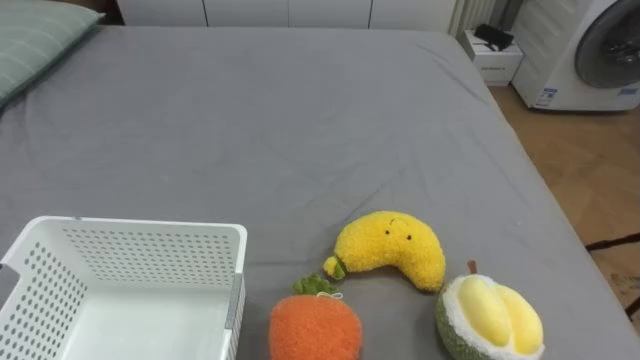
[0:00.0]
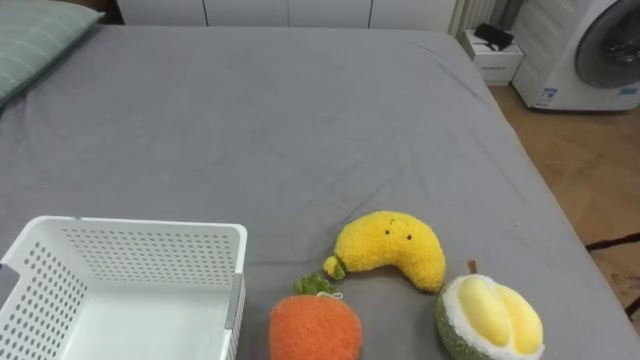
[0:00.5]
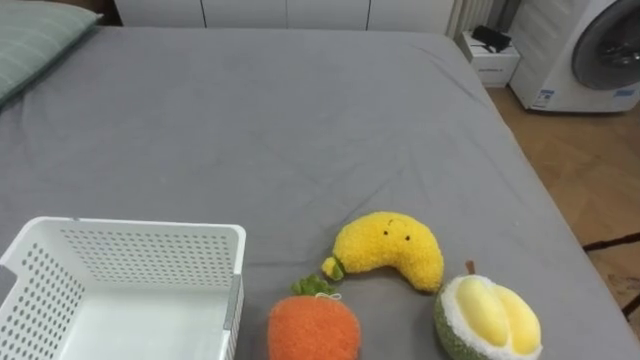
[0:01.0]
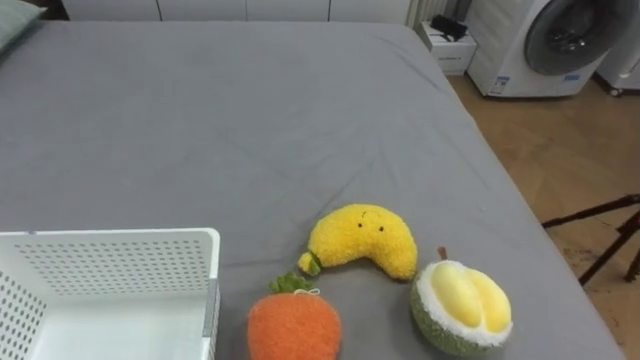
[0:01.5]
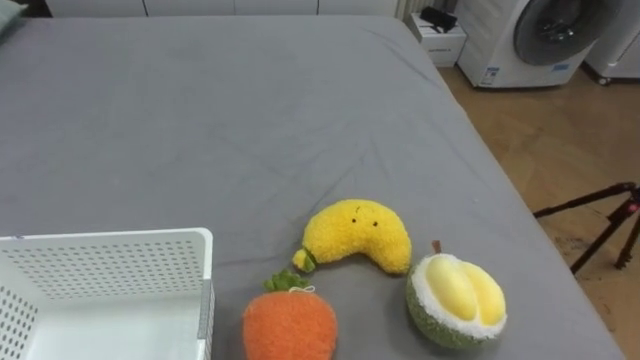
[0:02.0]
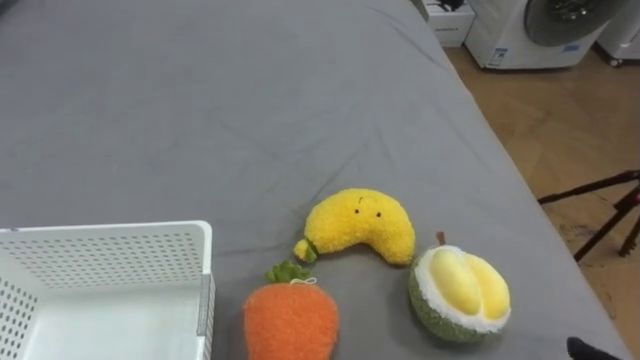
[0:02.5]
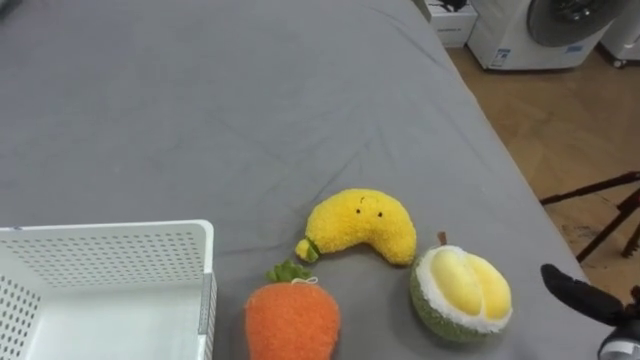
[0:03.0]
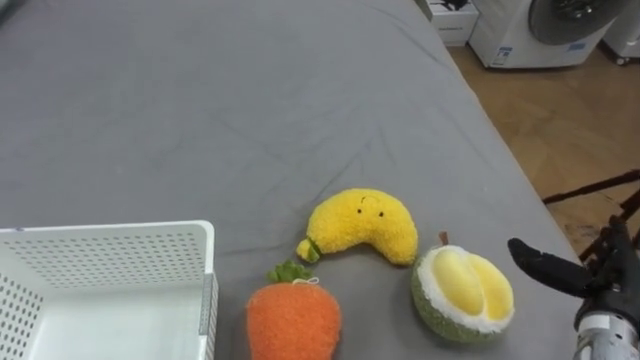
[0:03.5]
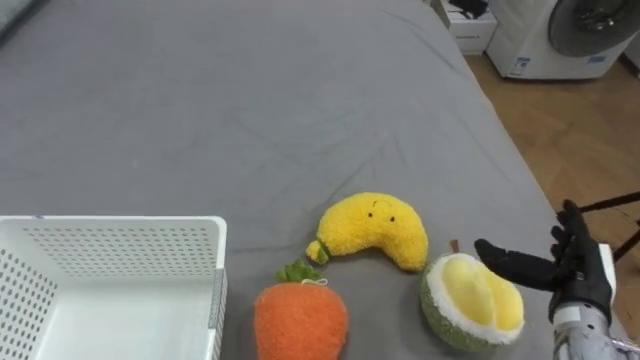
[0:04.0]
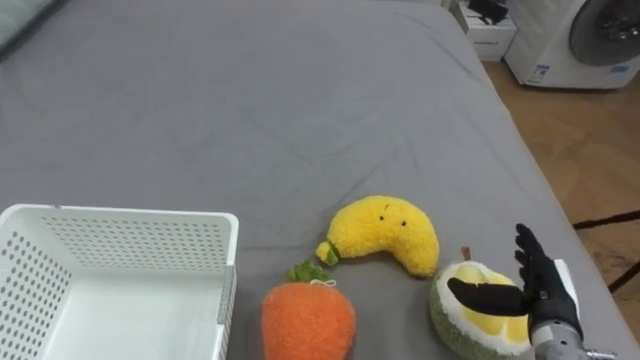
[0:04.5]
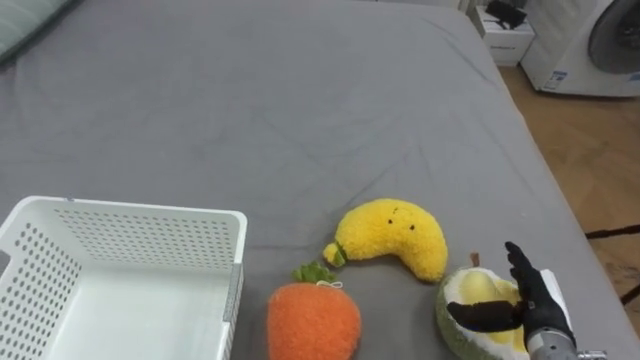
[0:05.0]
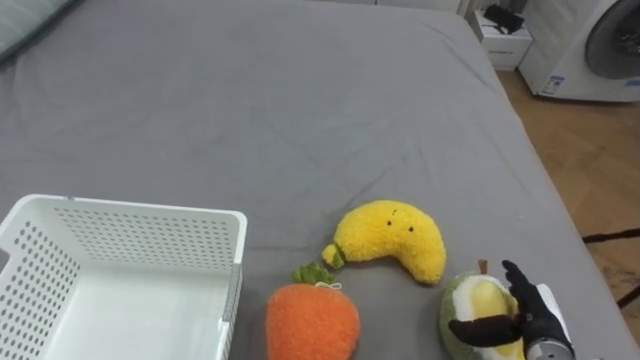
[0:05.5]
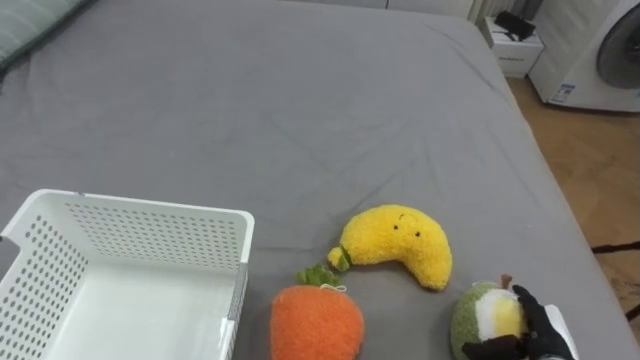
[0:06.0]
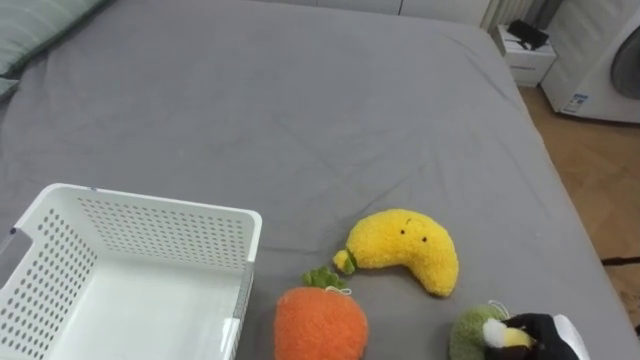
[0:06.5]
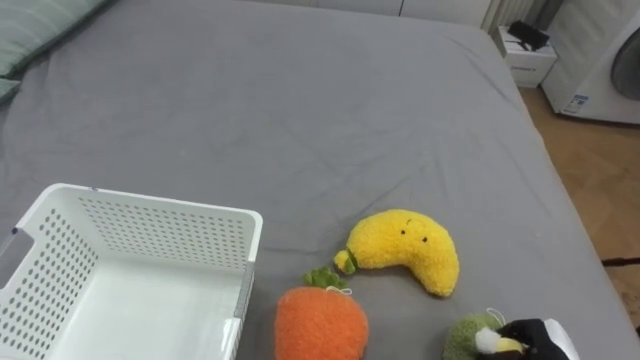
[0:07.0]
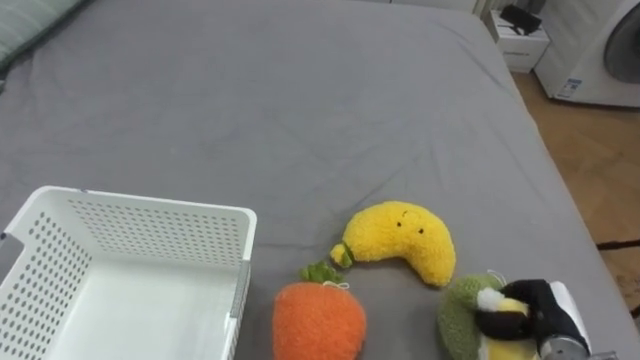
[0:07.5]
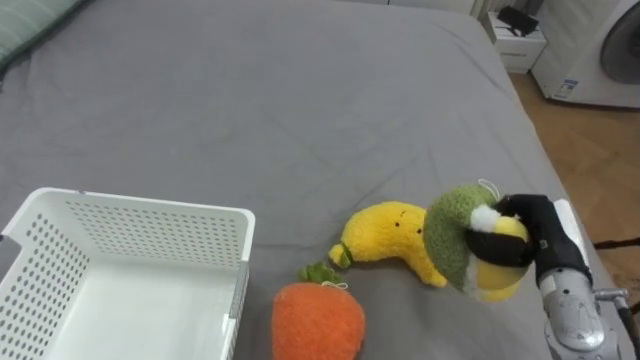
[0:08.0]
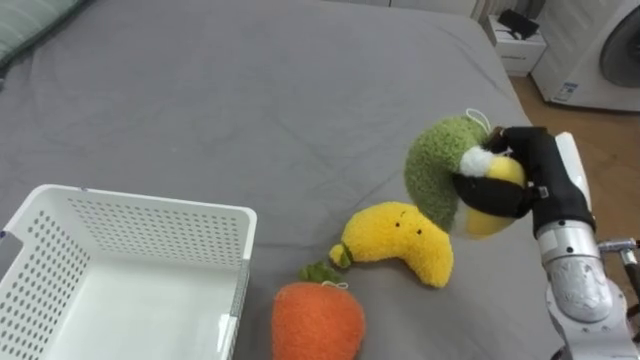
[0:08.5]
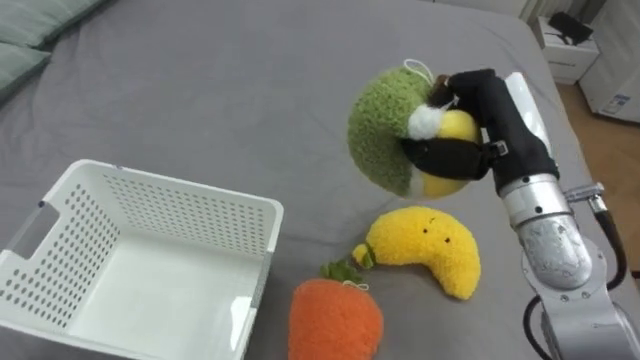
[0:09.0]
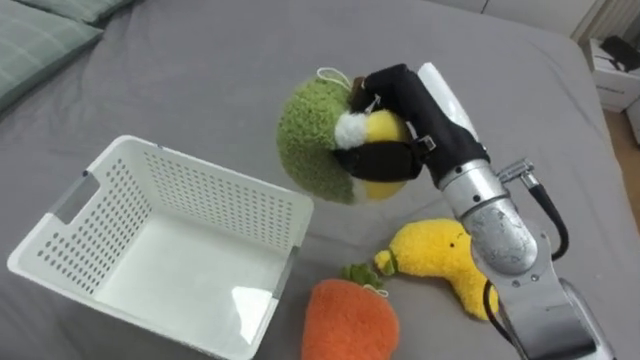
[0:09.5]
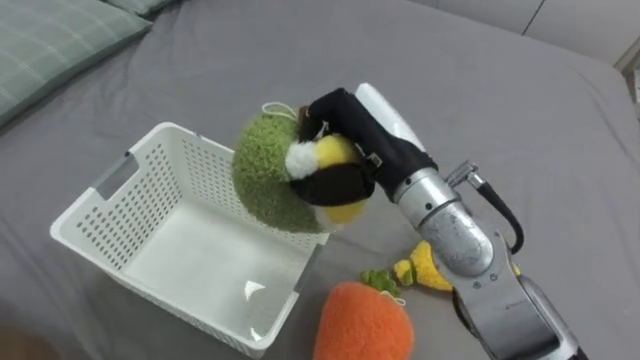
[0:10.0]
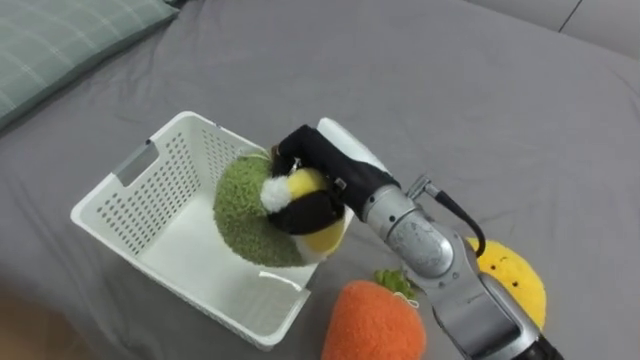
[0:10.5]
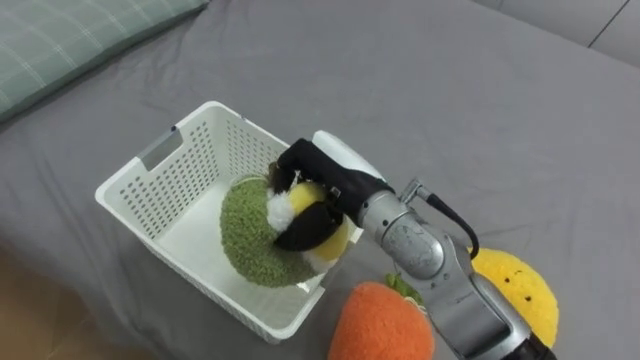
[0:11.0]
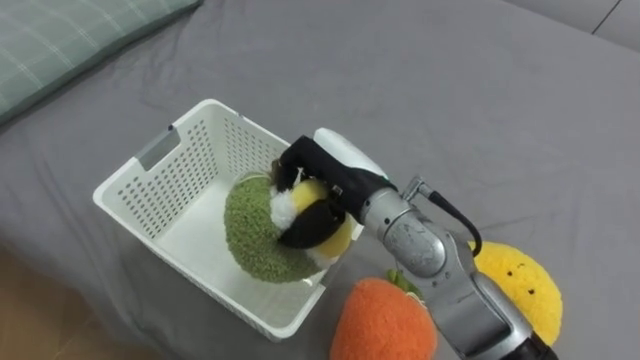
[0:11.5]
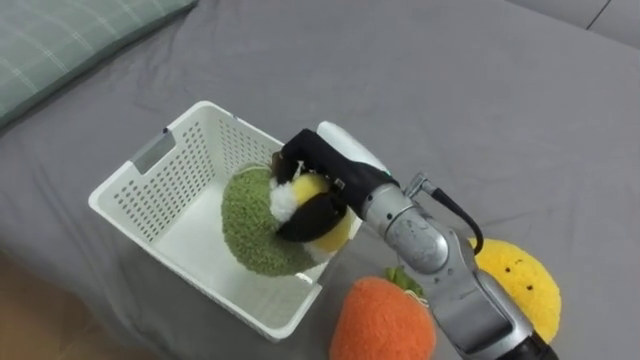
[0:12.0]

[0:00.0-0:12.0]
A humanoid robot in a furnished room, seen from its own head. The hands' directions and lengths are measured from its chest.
Task of the whole recording: Put the toys on the bed into the basket on the left.
0:04.0 to 0:06.0: The right hand heads downward, covering roughly 10 cm.
0:06.0 to 0:08.0: The right hand travels upward and forward by roughly 15 cm, and closes.
0:08.0 to 0:10.0: The right hand moves to the left and upward, some 25 cm.
0:10.0 to 0:12.0: The right hand shifts by about 5 cm.

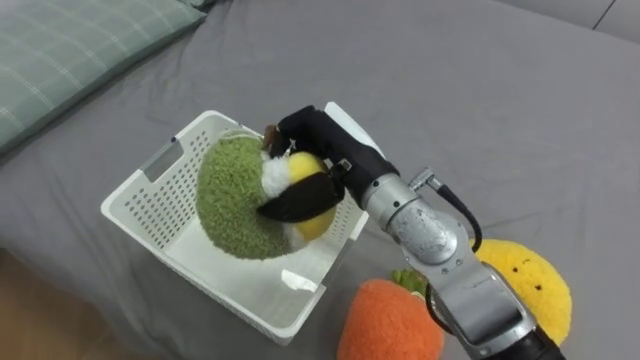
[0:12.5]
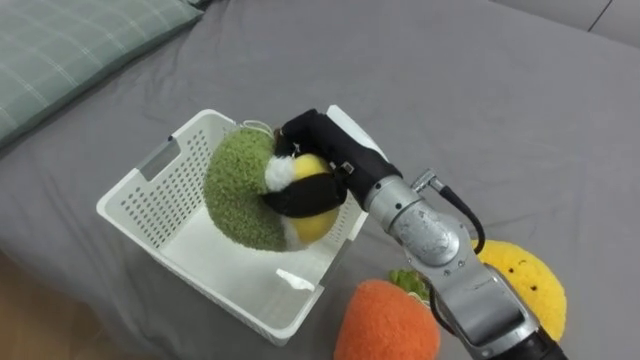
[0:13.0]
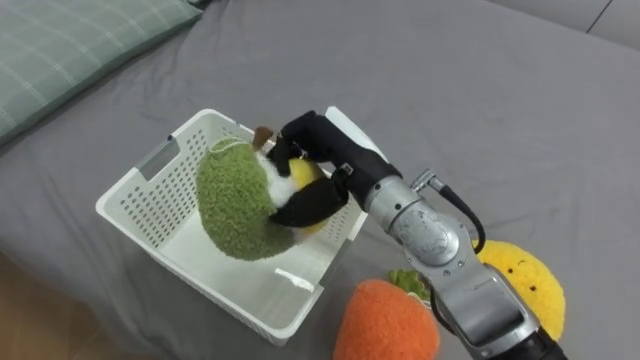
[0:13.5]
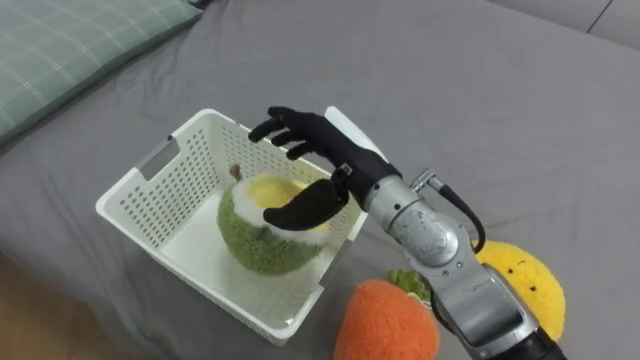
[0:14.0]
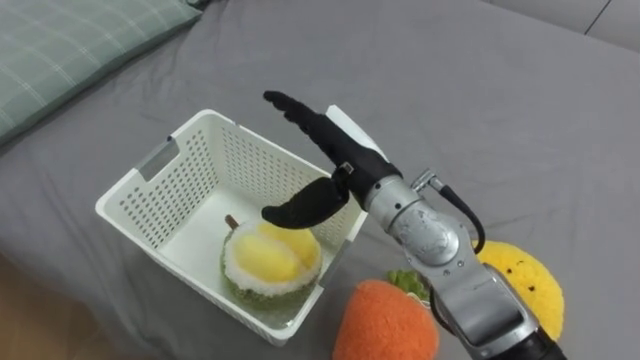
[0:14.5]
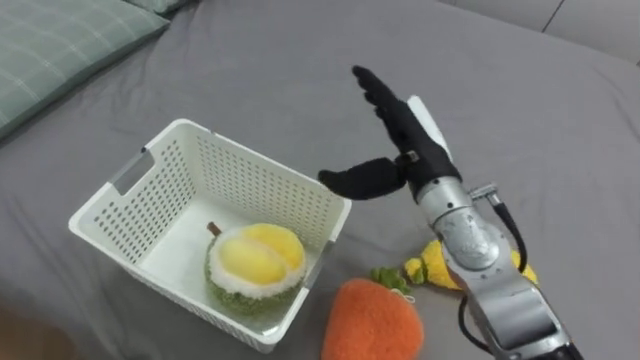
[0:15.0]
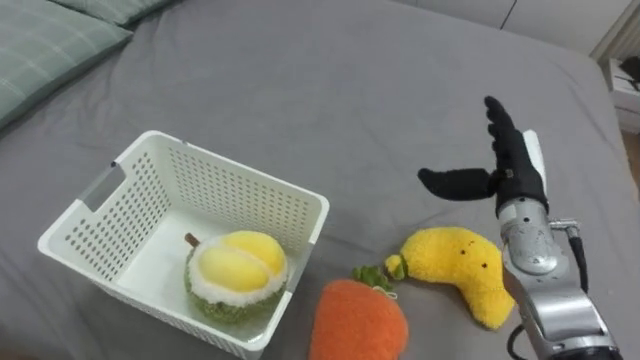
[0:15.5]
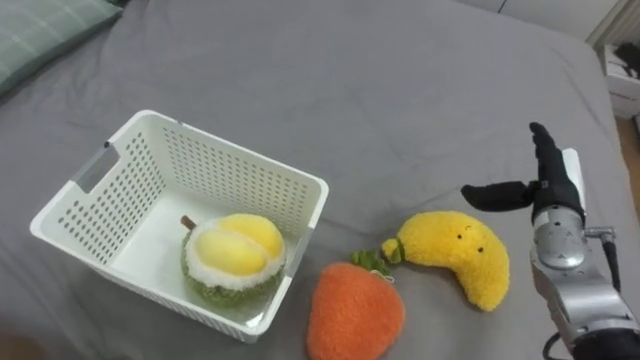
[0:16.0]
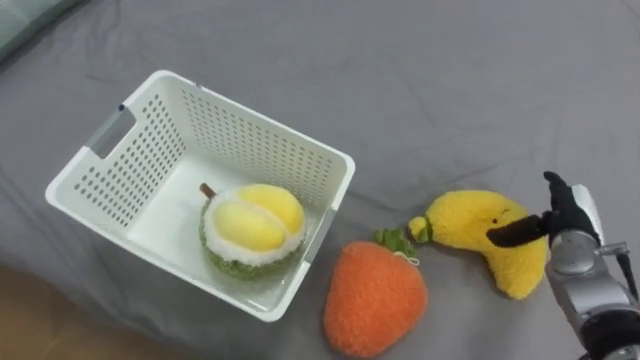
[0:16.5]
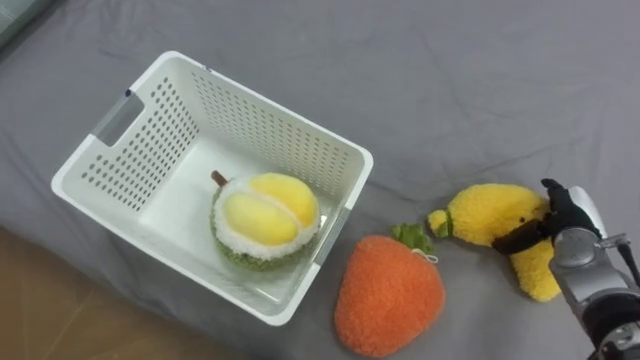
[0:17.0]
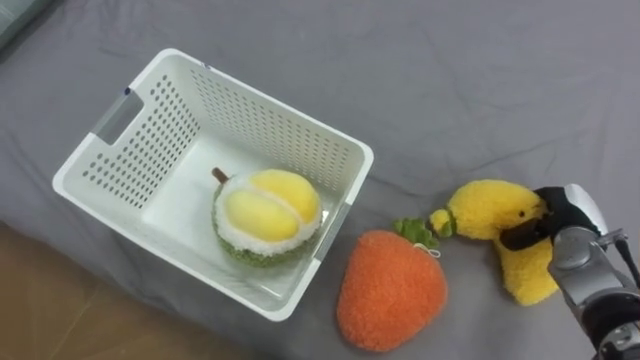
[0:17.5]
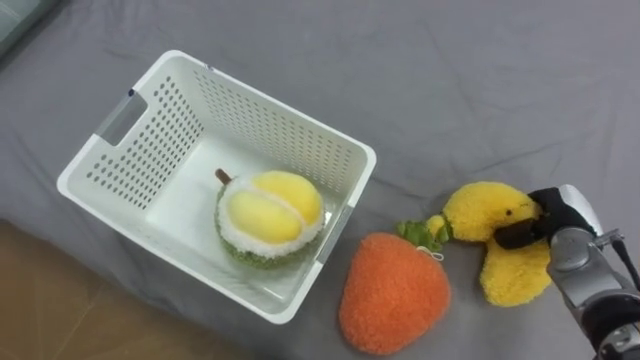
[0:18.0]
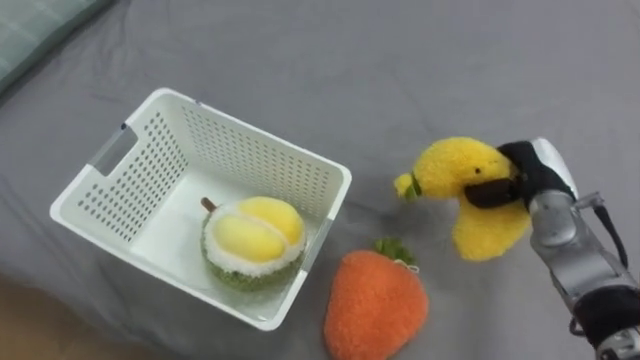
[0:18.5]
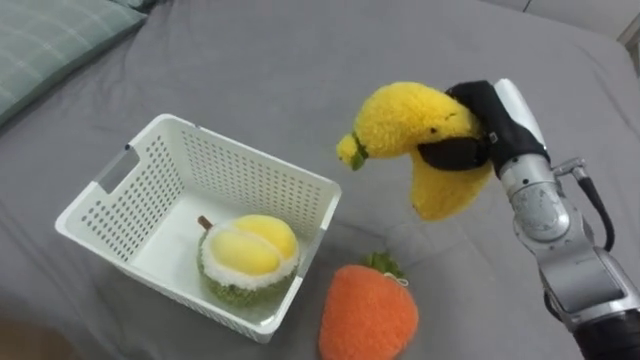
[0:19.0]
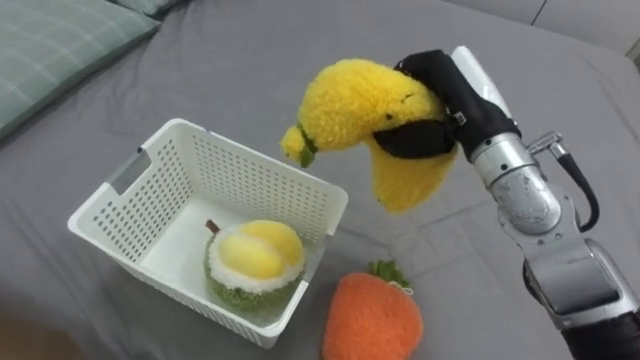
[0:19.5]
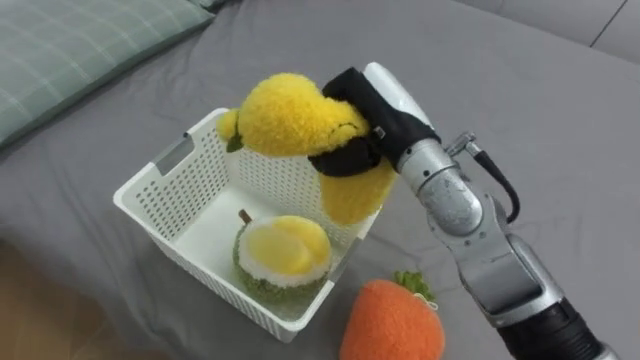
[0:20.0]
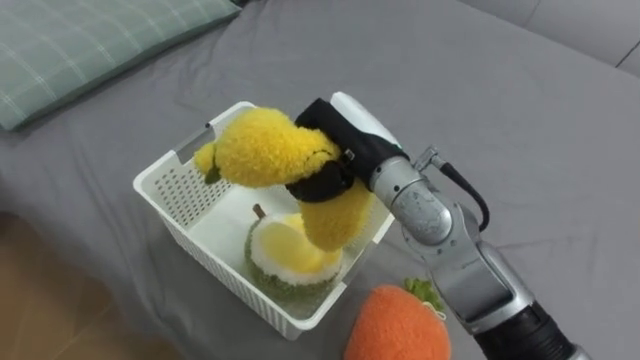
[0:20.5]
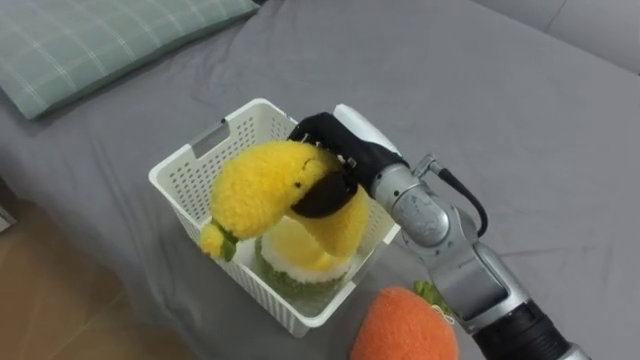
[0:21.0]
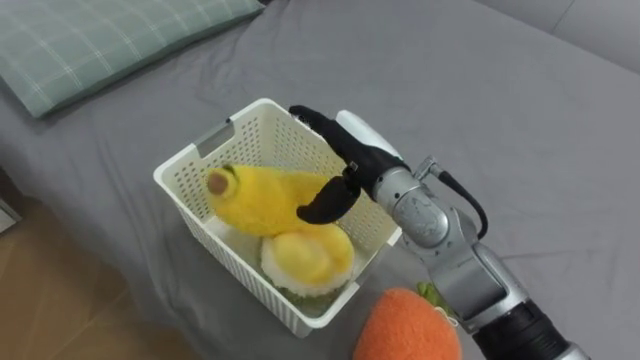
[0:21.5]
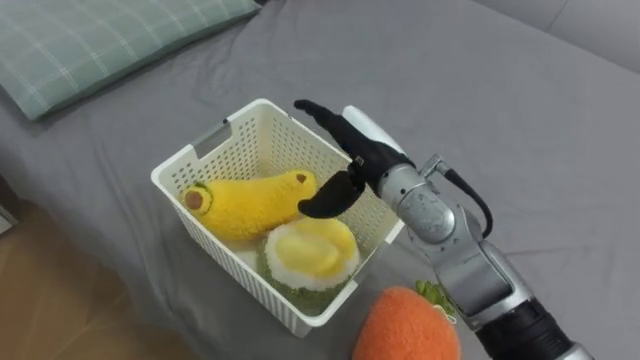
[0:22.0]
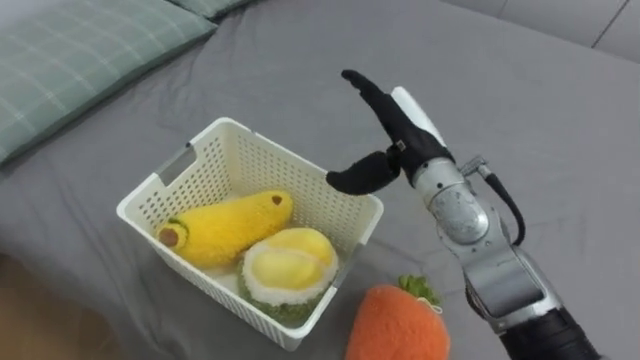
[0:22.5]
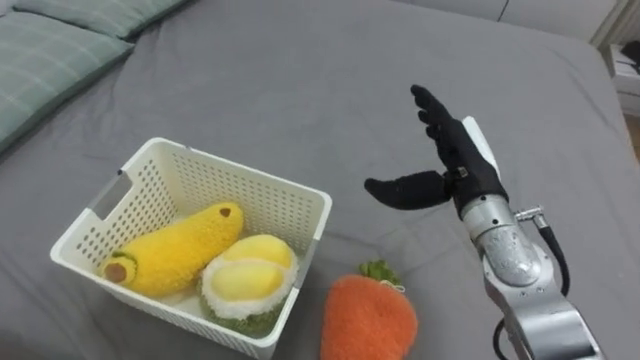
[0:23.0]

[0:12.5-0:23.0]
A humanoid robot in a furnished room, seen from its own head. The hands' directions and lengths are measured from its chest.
Task of the whole recording: Put the toys on the bed into the basket on the left.
0:12.5 to 0:14.5: The right hand opens up.
0:14.5 to 0:16.5: The right hand goes roughly 35 cm to the right and downward.
0:16.5 to 0:19.0: The right hand is displaced upward and to the left by roughly 20 cm, and closes up.
0:19.0 to 0:21.0: The right hand shifts roughly 15 cm to the left.
0:21.0 to 0:23.0: The right hand travels to the right by about 15 cm, and opens.
